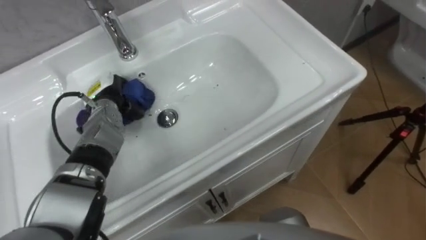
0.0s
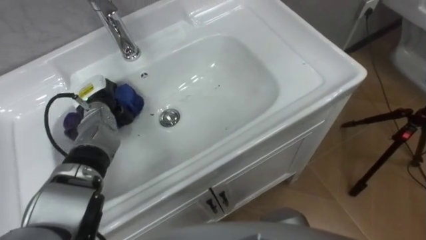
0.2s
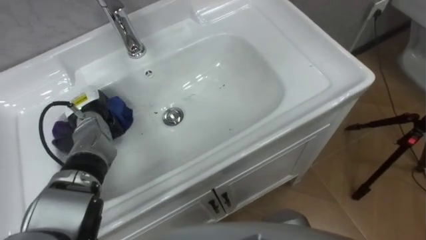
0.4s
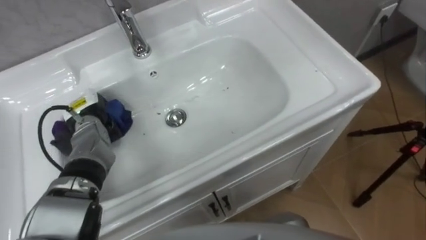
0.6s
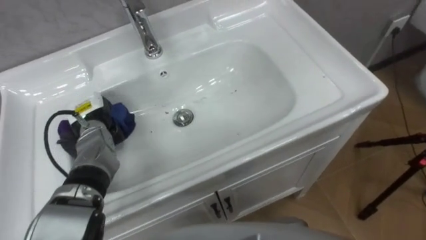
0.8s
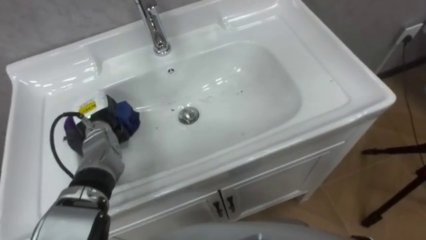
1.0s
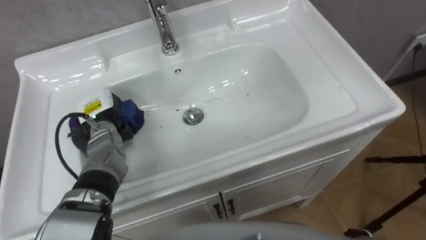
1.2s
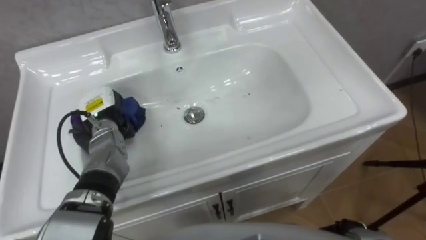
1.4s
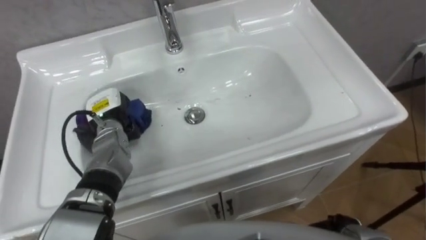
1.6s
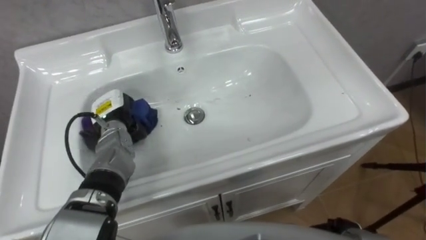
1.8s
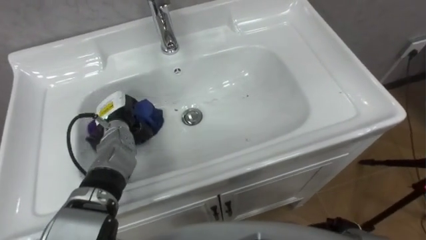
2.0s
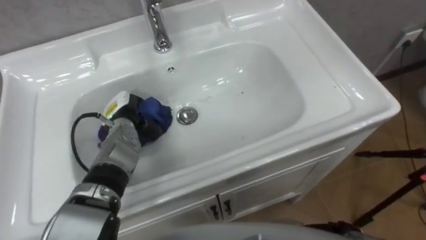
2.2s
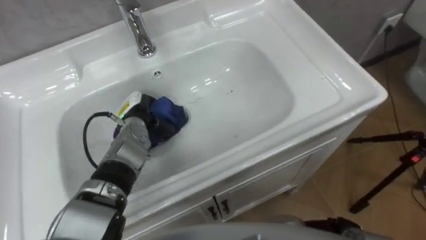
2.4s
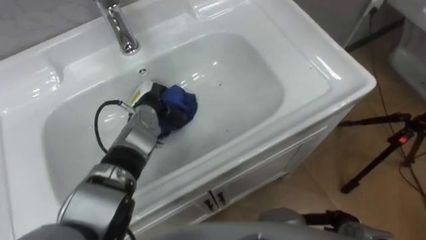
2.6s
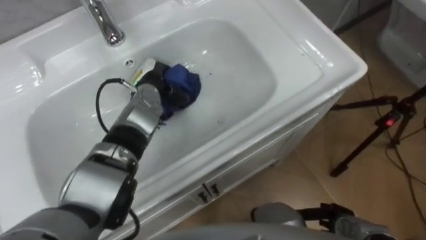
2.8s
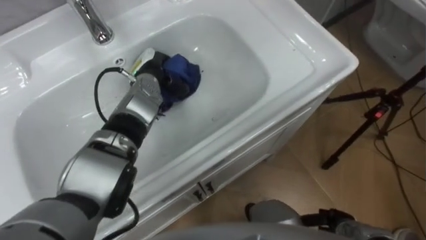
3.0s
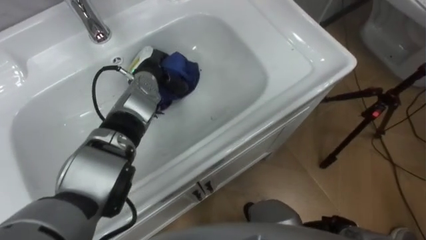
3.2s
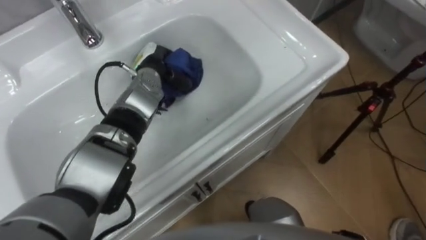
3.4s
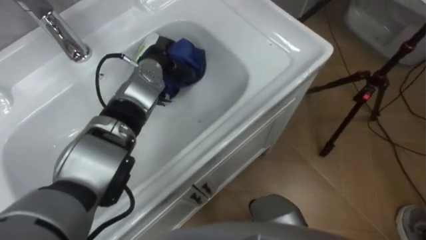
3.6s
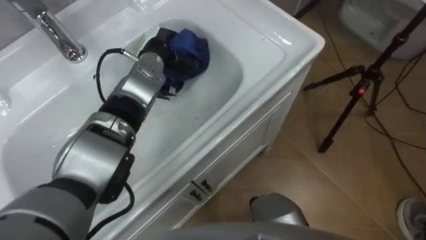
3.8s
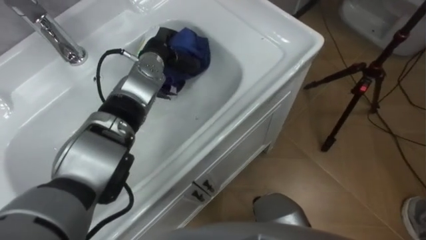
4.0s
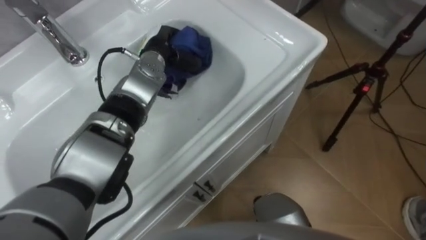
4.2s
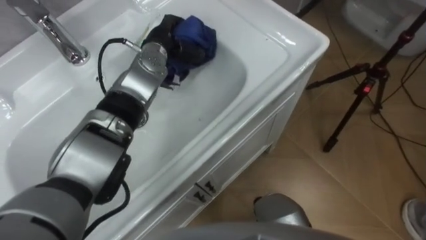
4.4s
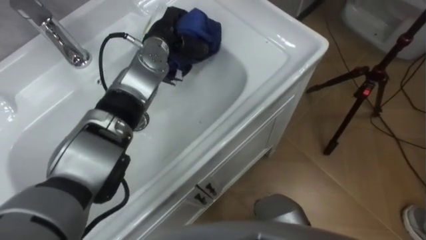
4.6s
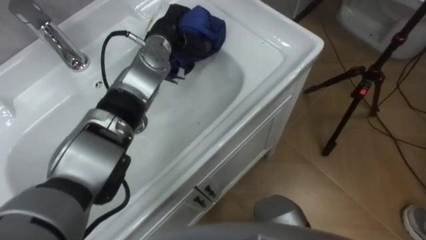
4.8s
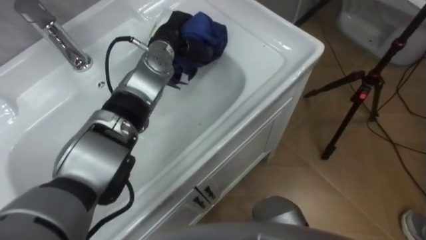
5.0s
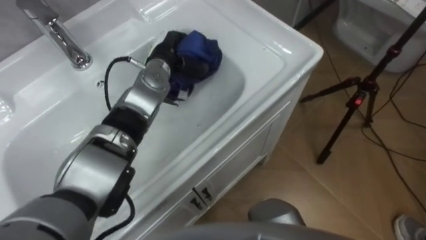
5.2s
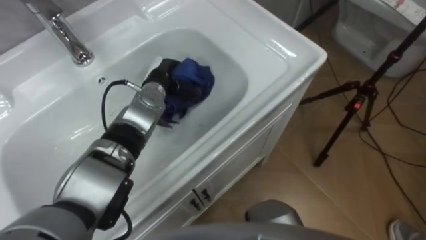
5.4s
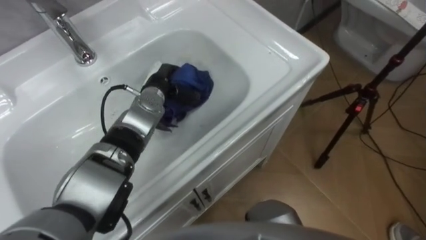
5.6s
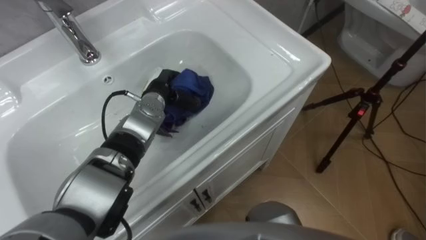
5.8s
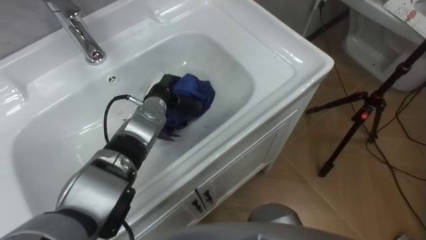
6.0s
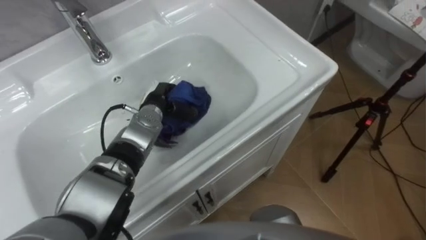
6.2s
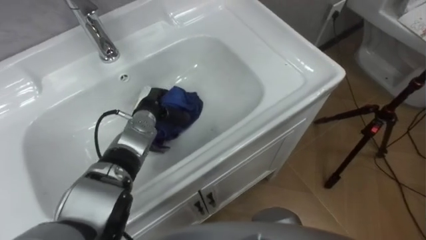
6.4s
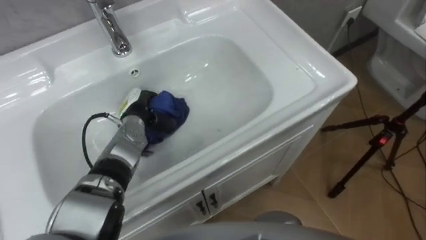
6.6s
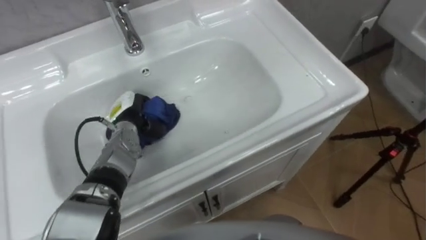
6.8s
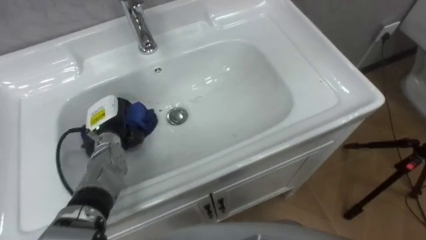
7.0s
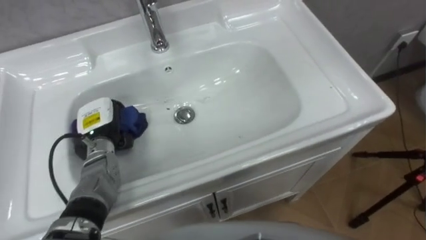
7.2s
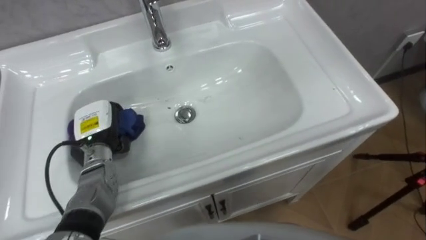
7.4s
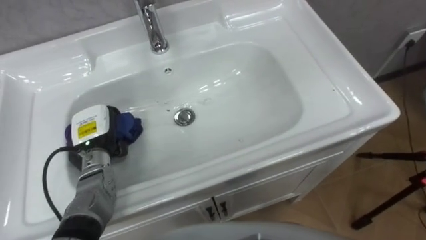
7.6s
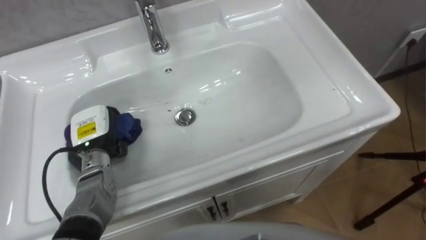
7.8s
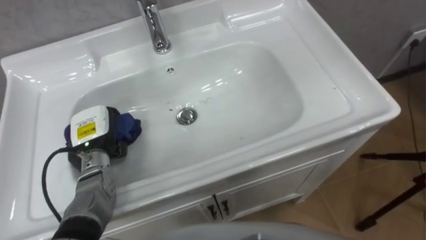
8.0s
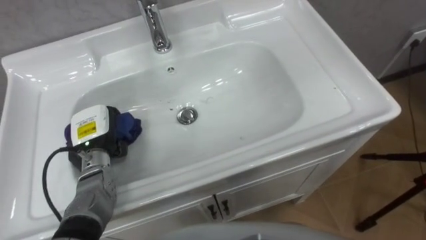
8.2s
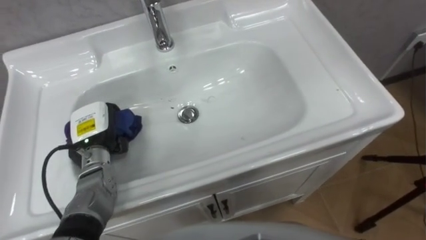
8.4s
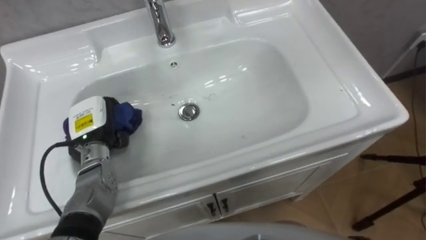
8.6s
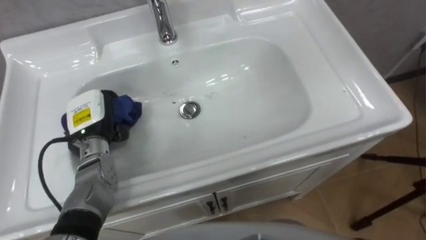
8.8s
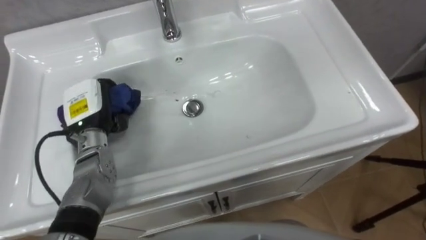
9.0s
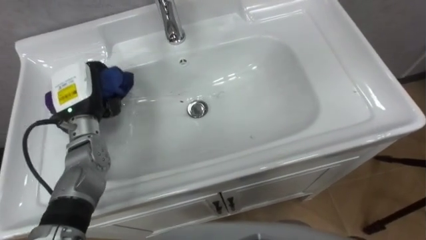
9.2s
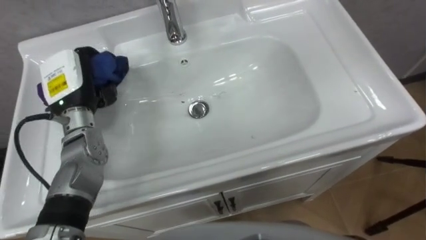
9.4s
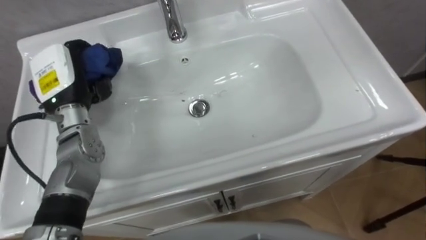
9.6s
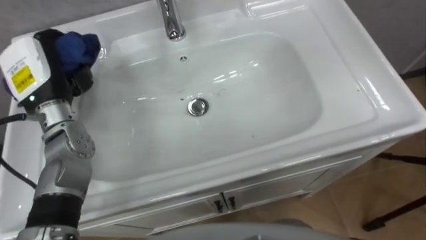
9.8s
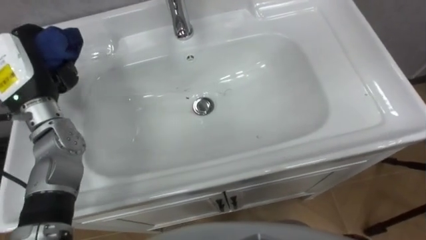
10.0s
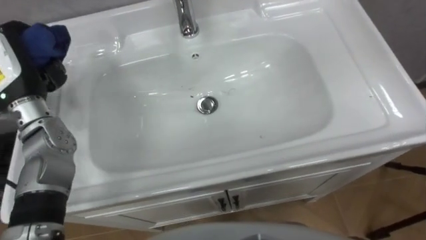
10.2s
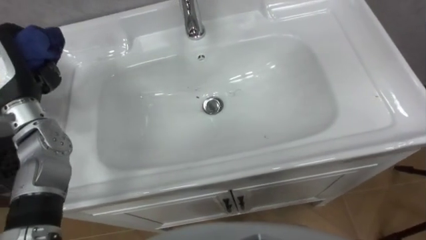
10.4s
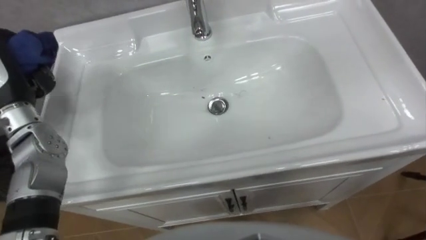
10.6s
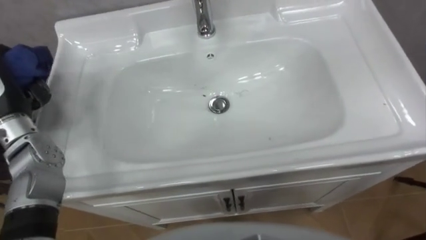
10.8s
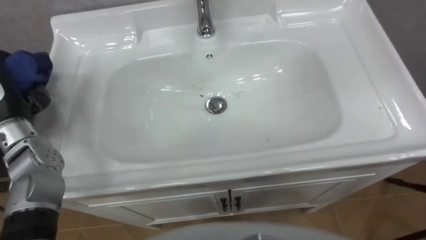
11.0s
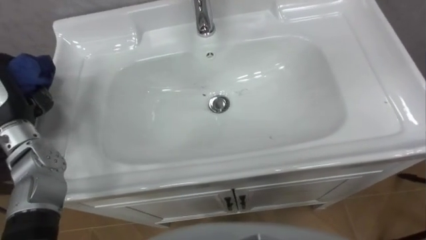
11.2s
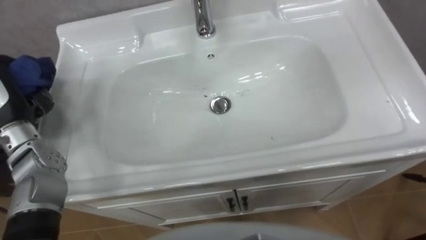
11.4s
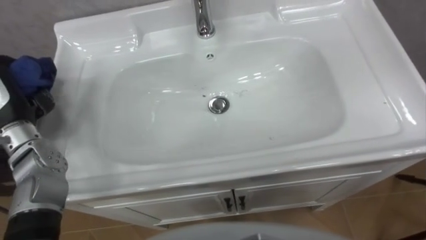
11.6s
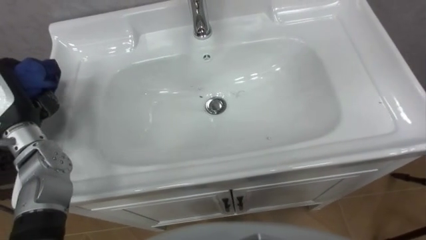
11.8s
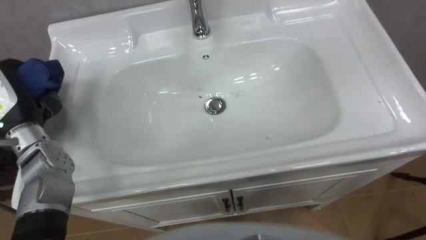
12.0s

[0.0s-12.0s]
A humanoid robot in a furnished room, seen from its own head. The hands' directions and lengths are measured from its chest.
Task of the whole recording: Use the cloth on the right to wipe away the black stain in the sink.
1.6s to 3.0s: The left hand moves to the right and forward, about 10 cm.
3.0s to 4.4s: The left hand shifts roughly 5 cm upward.
4.4s to 6.0s: The left hand goes roughly 15 cm downward and backward.
6.0s to 7.6s: The left hand moves to the left and backward, about 15 cm.
7.6s to 9.0s: The left hand moves upward, some 5 cm.

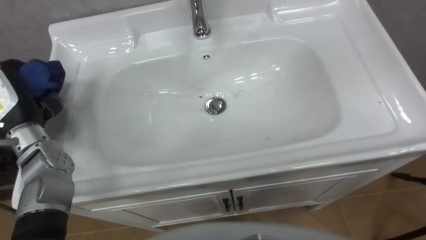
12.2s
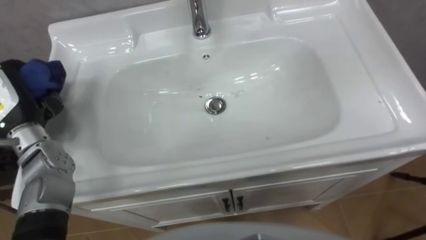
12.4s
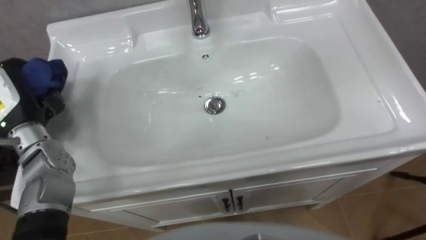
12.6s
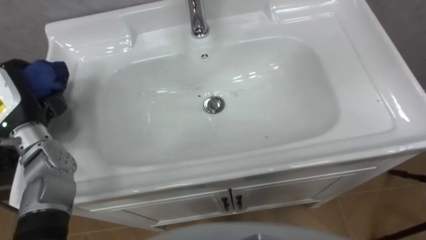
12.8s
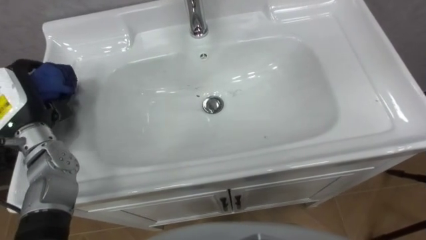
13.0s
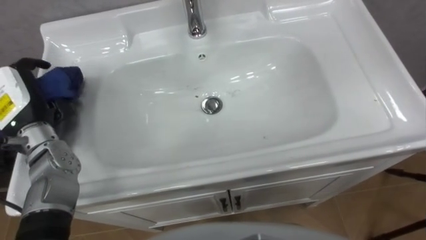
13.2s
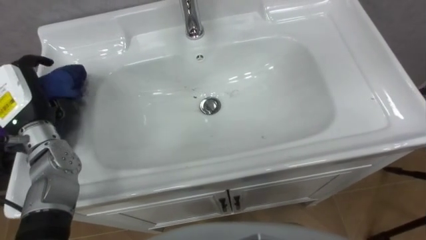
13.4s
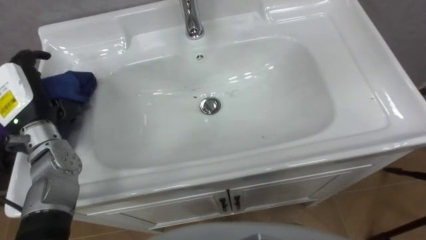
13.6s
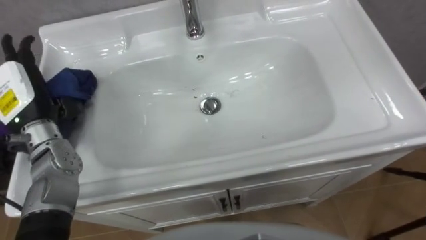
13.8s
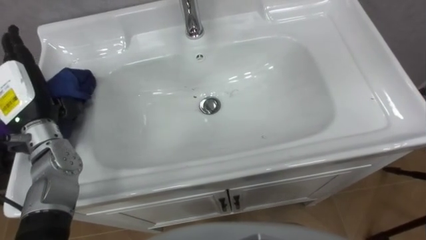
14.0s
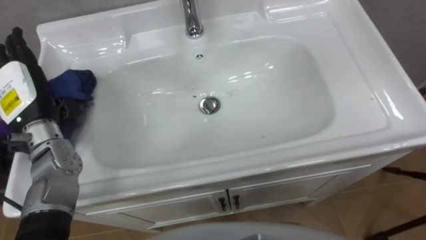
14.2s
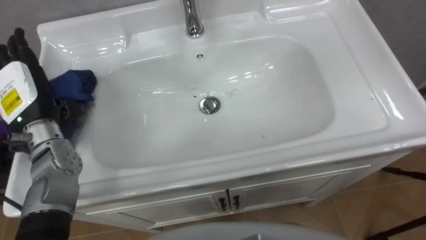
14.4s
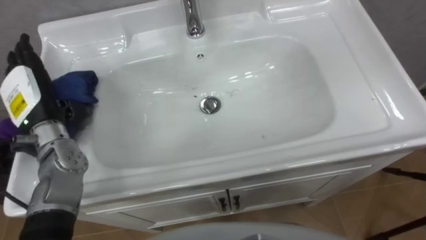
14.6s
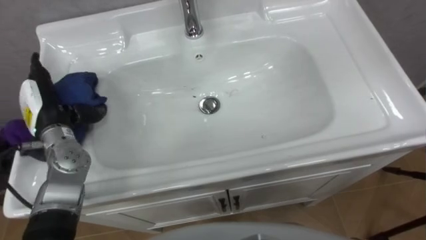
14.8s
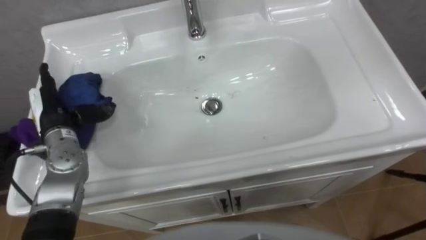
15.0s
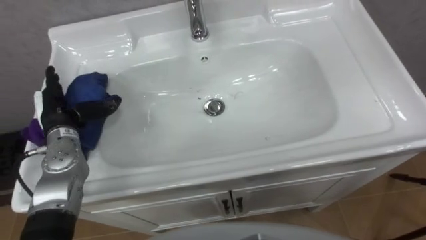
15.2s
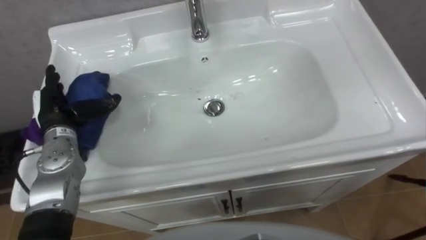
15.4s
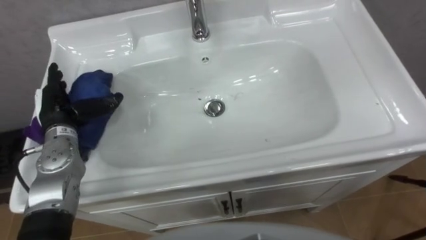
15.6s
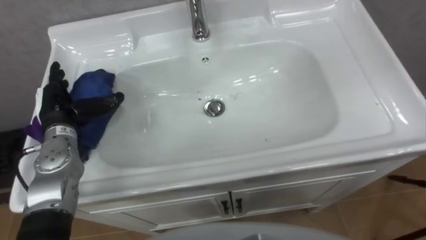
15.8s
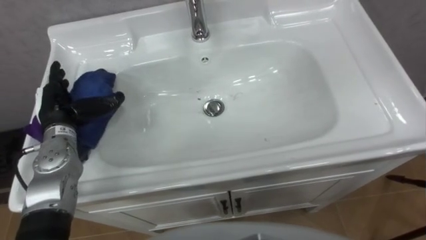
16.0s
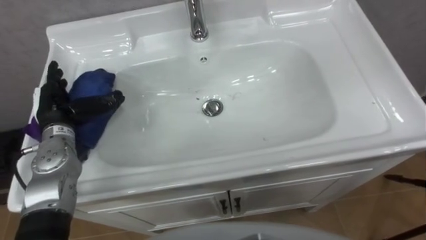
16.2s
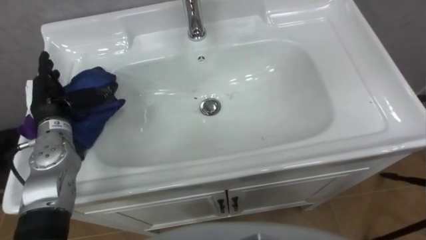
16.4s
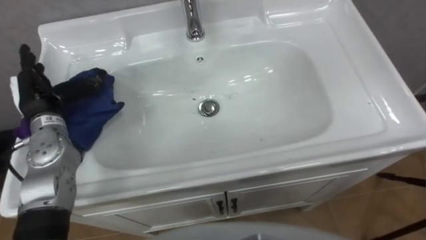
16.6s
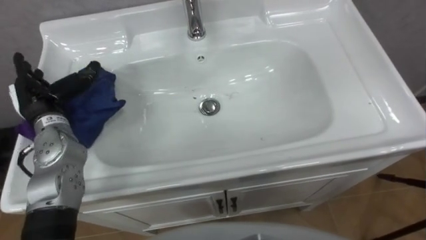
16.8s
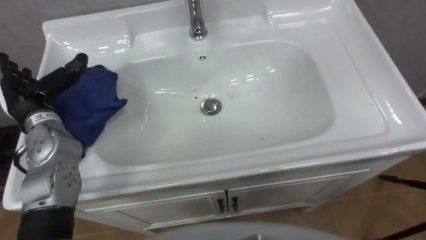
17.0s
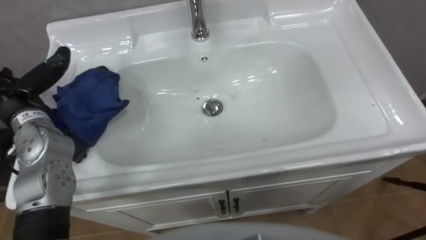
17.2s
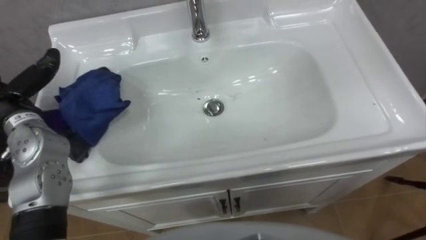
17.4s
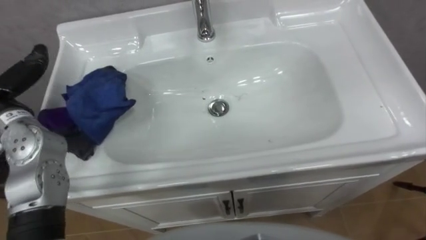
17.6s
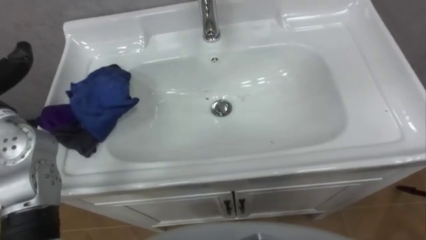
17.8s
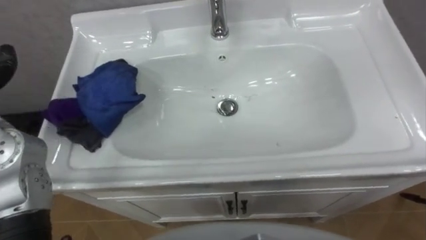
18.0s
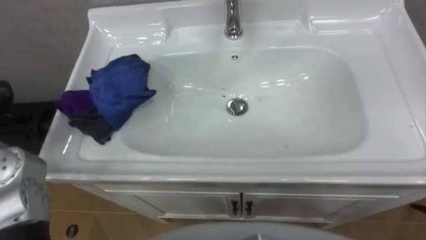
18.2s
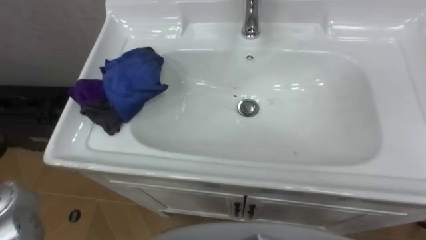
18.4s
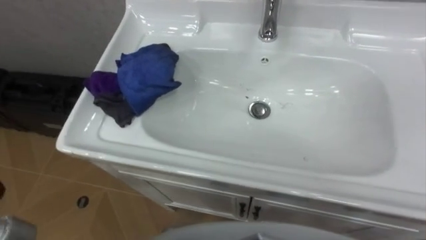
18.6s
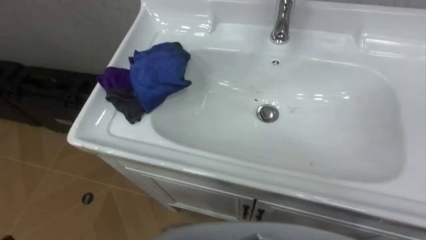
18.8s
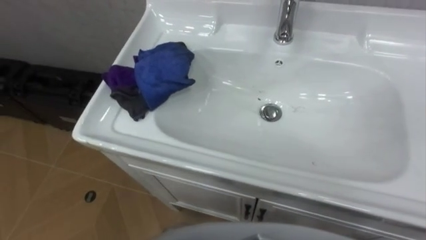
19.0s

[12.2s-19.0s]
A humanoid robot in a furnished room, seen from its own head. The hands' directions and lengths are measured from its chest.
Task of the whole recording: Use the cloth on the right to wipe away the black stain in the sink.
13.6s to 15.0s: The left hand goes some 5 cm downward, and opens up.
